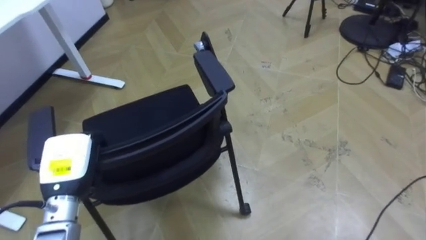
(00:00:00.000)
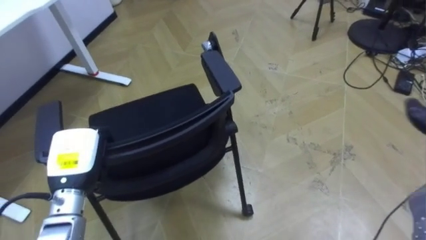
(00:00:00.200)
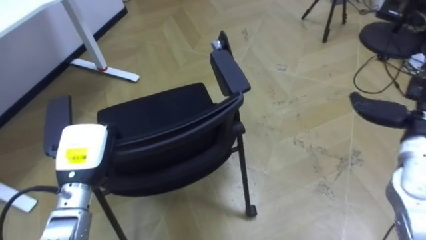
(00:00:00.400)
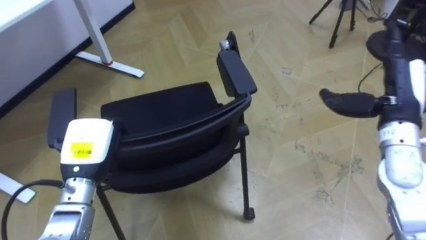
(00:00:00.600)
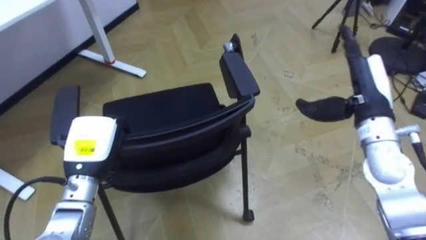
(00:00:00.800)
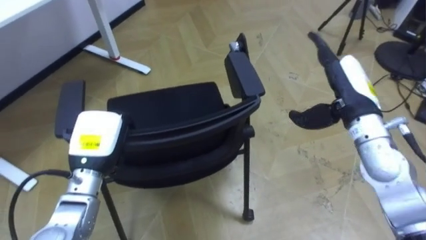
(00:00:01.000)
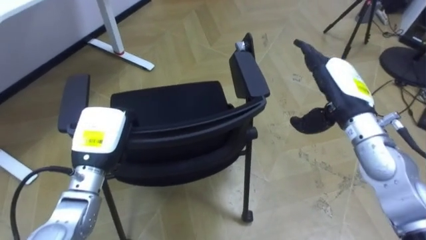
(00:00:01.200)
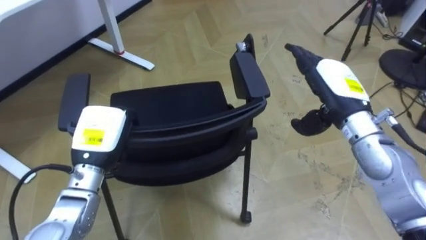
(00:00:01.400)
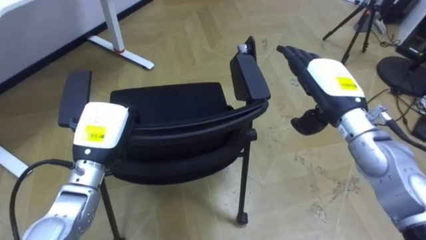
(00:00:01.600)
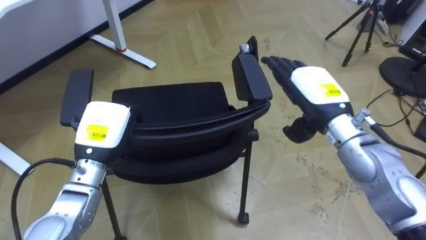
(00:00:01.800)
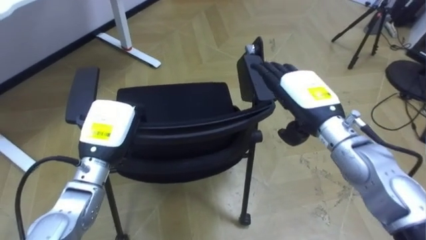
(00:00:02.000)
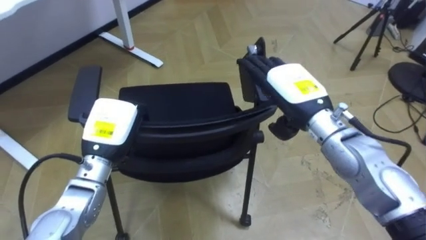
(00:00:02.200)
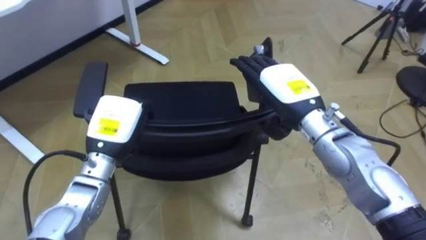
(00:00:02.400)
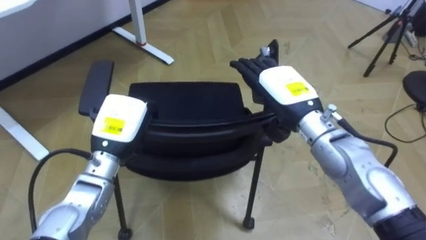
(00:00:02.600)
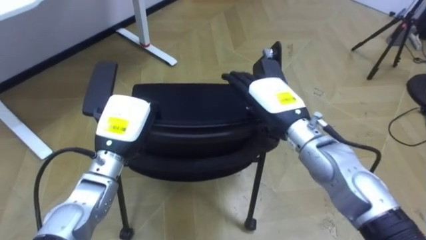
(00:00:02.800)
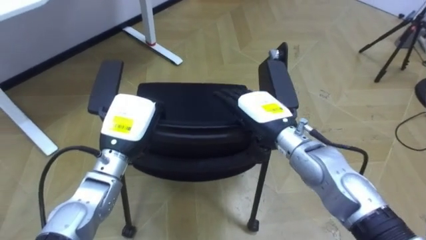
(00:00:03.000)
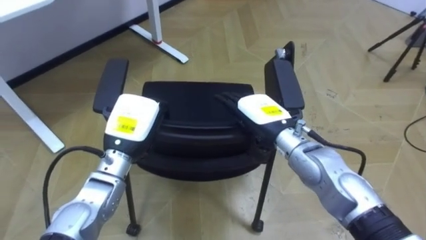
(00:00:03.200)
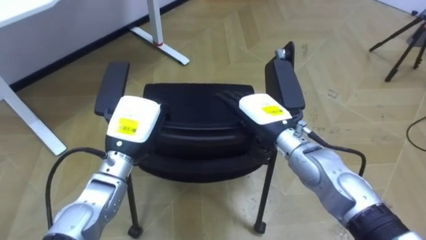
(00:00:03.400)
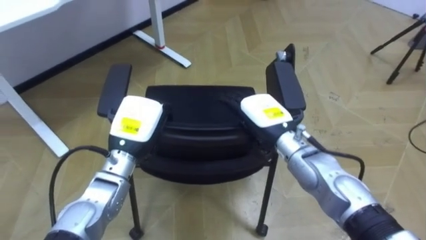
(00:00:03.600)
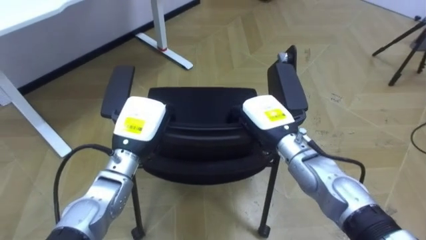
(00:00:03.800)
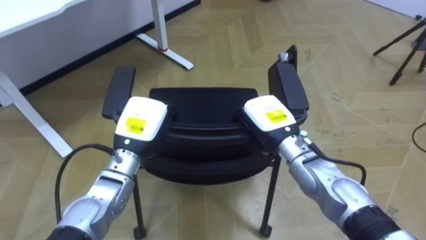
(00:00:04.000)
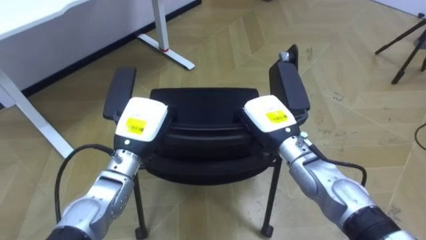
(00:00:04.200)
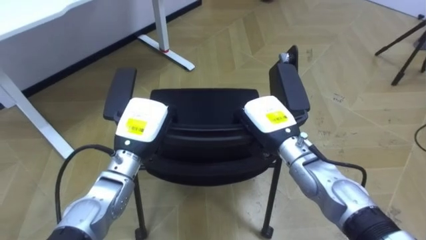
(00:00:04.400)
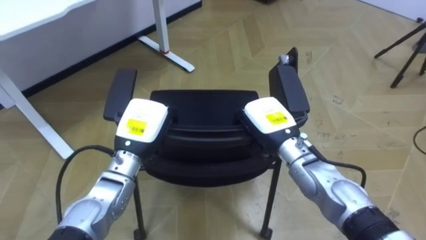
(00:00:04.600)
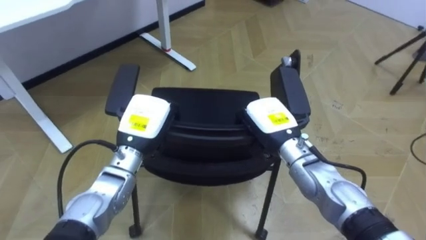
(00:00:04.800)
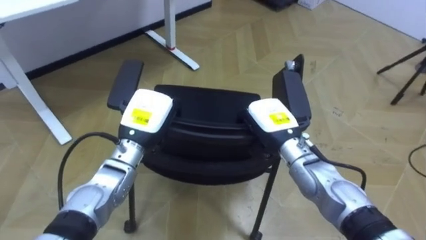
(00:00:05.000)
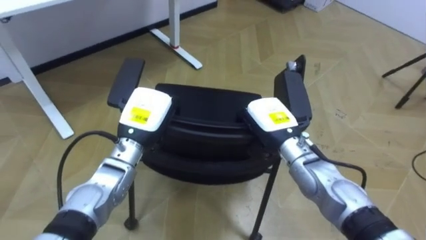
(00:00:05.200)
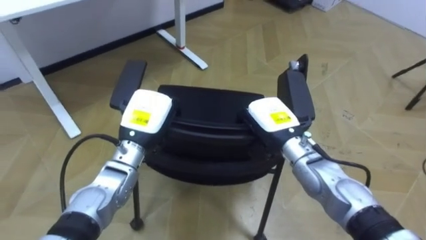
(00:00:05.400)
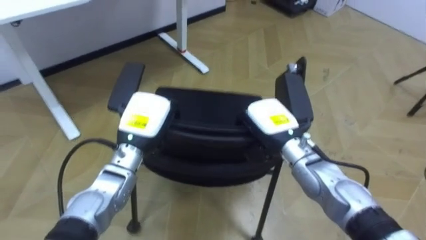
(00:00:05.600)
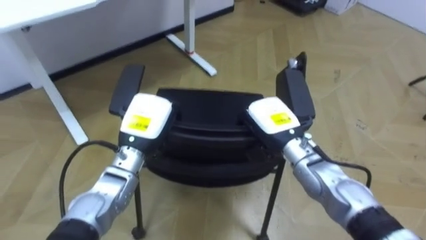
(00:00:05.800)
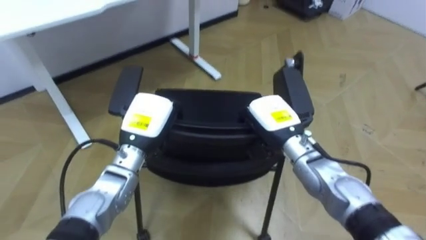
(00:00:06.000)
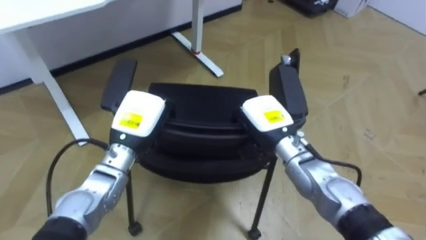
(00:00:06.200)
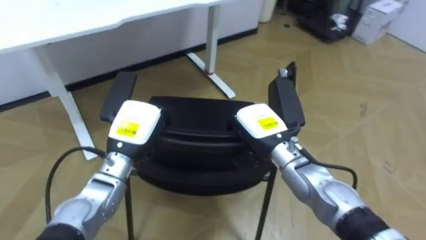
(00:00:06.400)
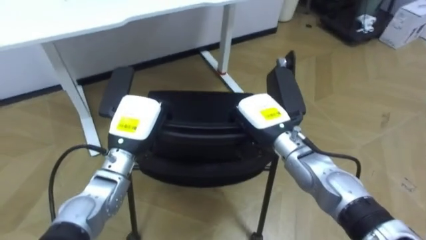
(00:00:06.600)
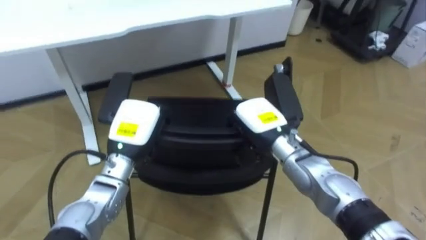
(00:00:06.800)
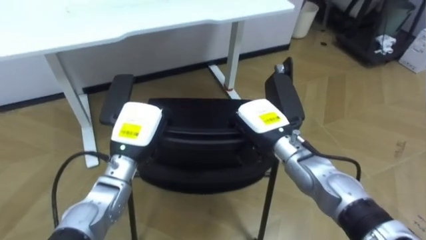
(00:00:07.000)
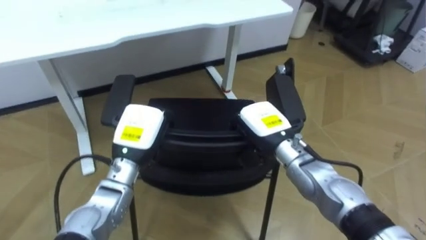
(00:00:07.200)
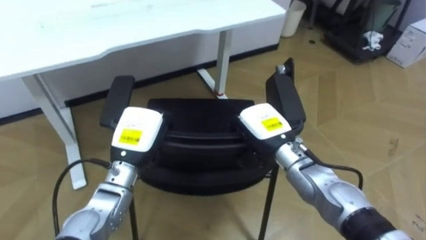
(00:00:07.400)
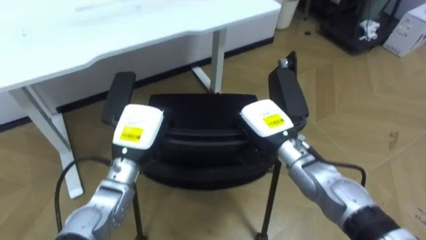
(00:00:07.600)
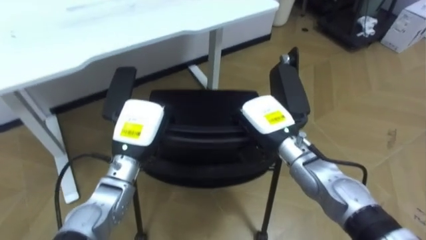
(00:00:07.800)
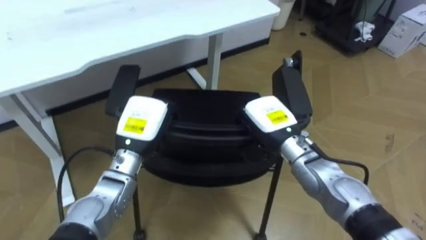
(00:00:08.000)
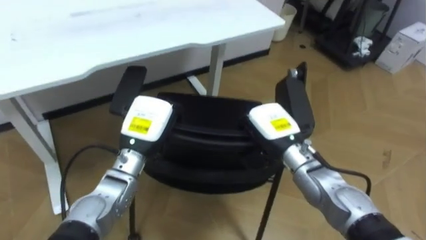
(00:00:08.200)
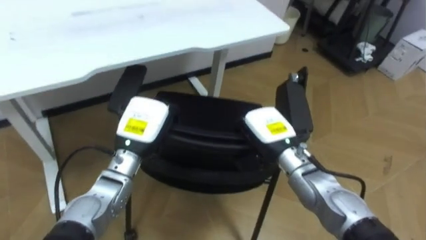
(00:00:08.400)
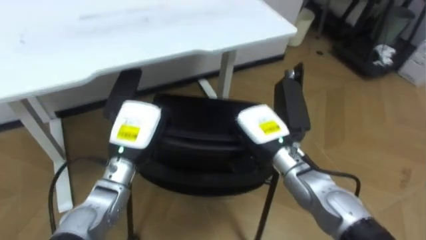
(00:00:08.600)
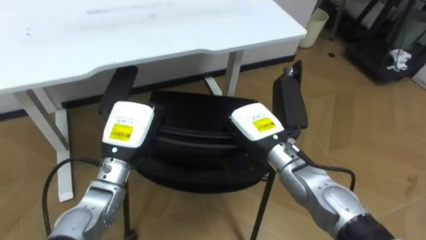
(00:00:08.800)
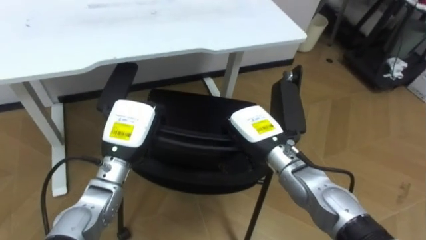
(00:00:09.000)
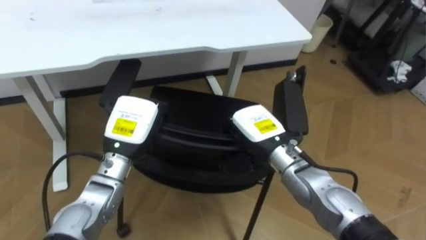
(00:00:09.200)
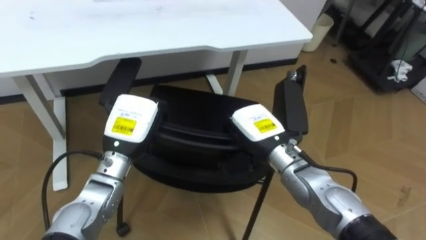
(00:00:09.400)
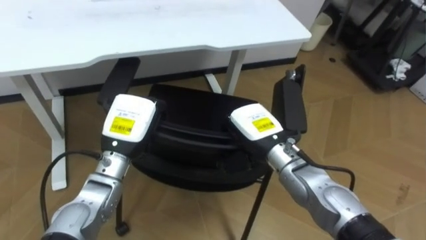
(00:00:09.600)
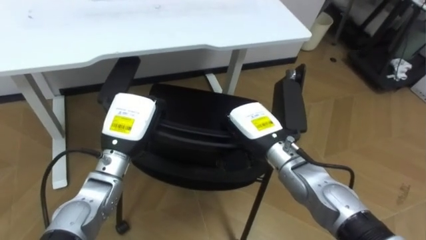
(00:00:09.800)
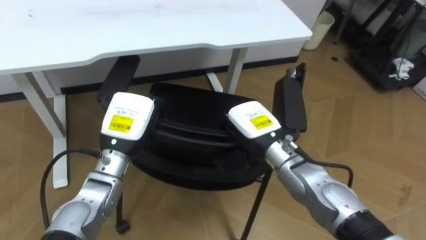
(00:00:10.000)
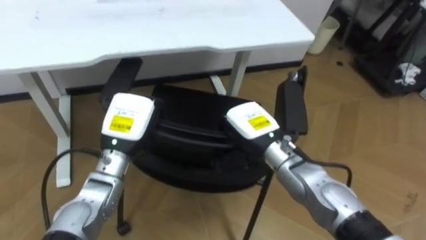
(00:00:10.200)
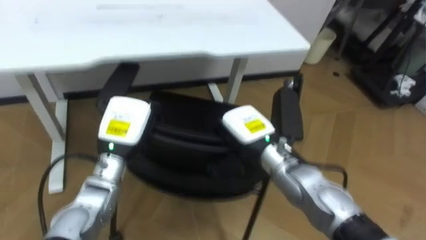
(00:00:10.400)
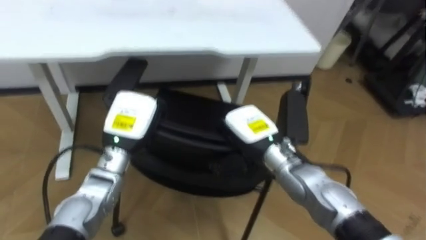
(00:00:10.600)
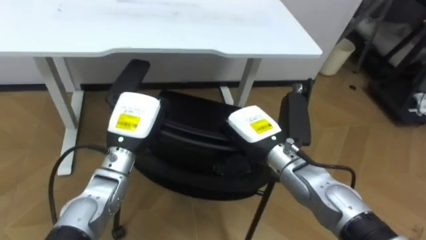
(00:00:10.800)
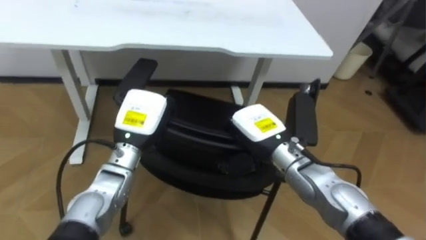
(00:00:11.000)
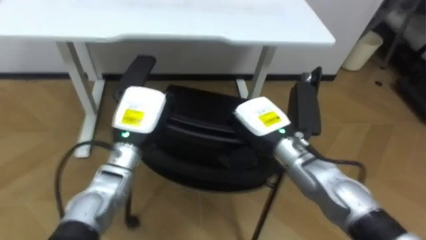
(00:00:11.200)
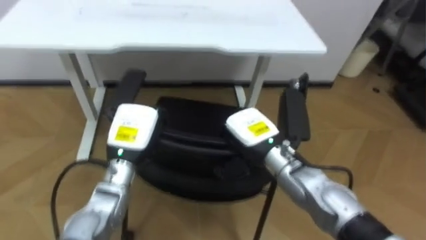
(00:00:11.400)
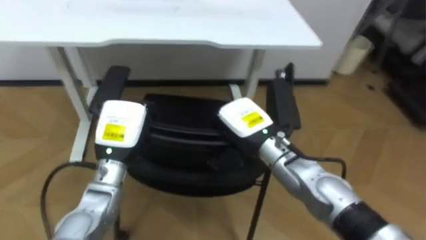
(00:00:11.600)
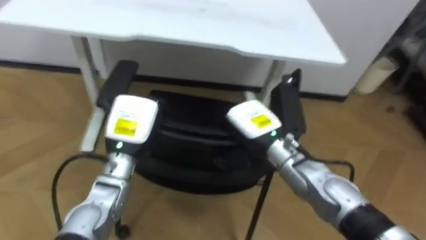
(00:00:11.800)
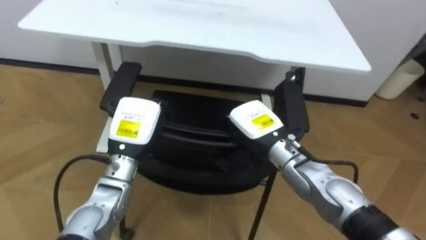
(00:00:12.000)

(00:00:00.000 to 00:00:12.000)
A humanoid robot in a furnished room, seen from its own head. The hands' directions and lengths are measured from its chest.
Task of the whole recording: Push the chair under the table.
00:00:00.000 - 00:00:01.600: The left hand heads to the right, covering some 5 cm.
00:00:01.600 - 00:00:03.000: The right hand goes some 10 cm to the left and downward.
00:00:03.000 - 00:00:04.400: The right hand closes up.
00:00:10.400 - 00:00:12.000: The robot rotates roughly 15 degrees to its left.

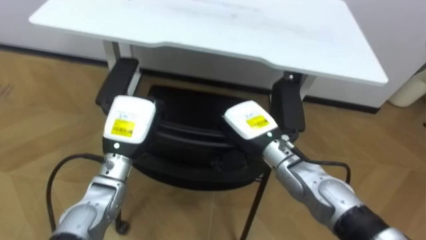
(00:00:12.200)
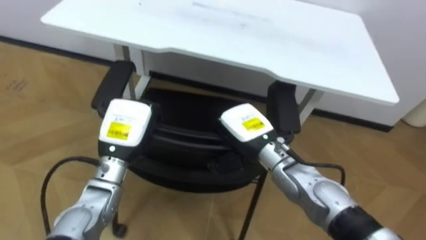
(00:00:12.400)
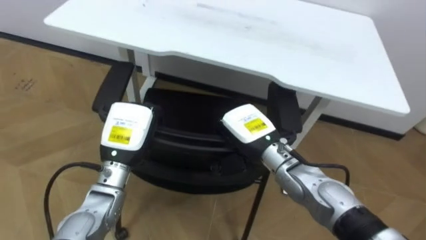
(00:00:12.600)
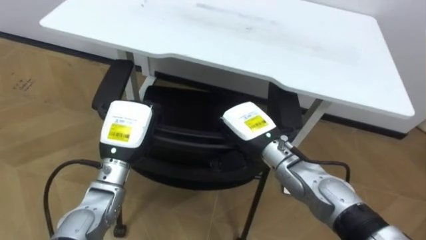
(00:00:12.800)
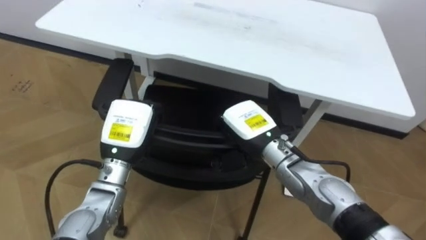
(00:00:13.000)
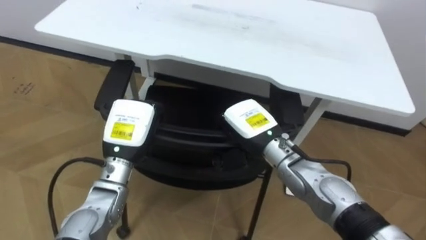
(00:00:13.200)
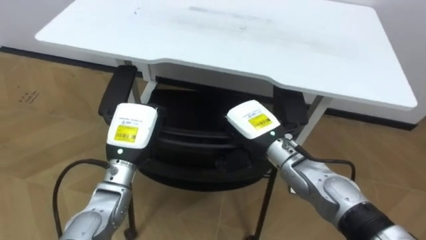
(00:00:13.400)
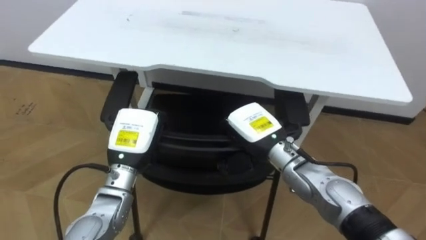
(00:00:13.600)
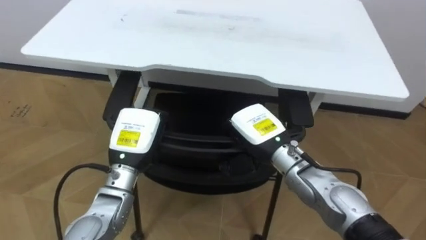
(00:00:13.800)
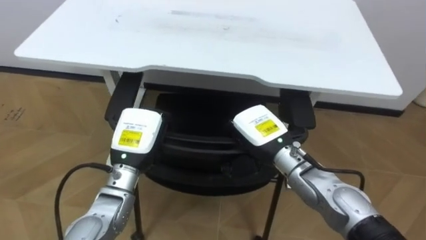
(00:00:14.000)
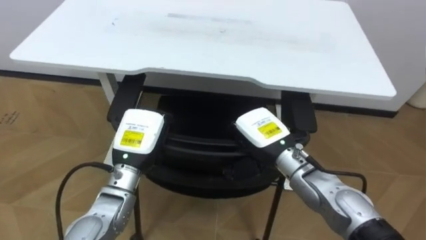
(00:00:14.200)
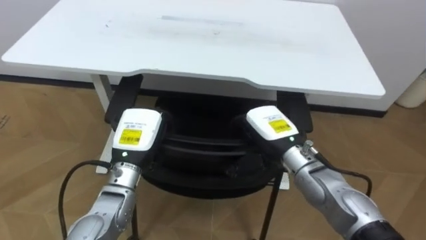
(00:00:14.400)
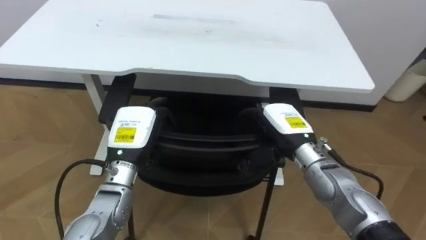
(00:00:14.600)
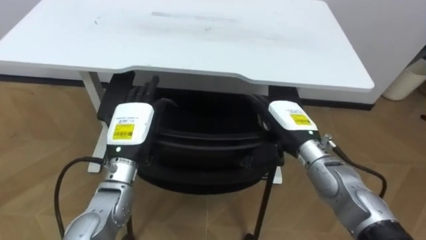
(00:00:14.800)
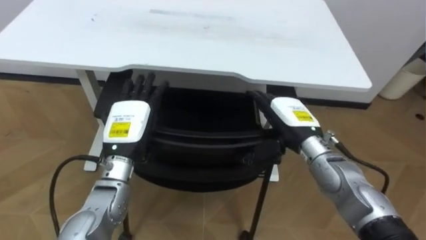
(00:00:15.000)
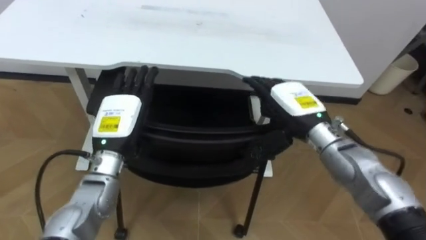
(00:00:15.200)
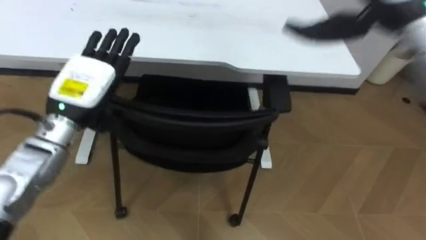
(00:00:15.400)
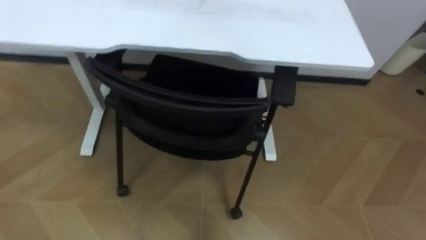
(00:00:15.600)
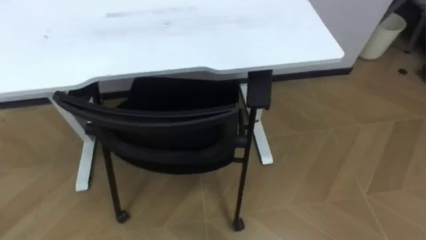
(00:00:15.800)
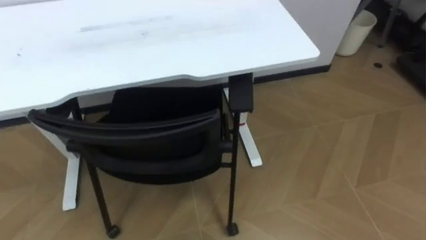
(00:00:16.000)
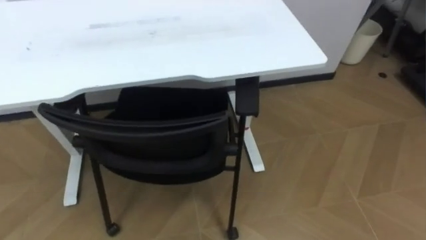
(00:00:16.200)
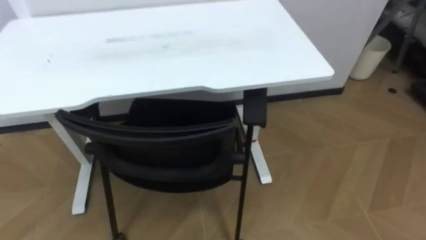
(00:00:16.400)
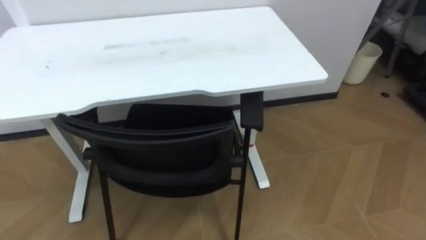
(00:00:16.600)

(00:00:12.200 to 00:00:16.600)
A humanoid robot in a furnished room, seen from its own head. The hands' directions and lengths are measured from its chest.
Task of the whole recording: Push the chair under the table.
00:00:13.600 - 00:00:15.200: The right hand moves to the right, approximately 5 cm, and opens its fingers. The left hand opens its fingers.
